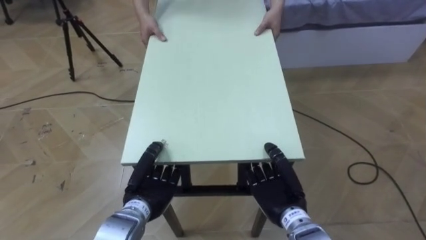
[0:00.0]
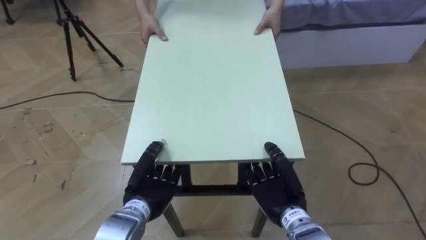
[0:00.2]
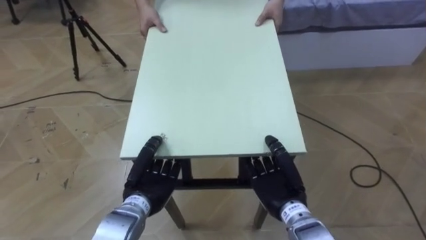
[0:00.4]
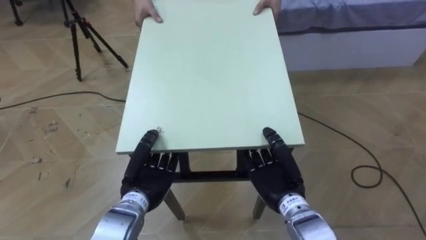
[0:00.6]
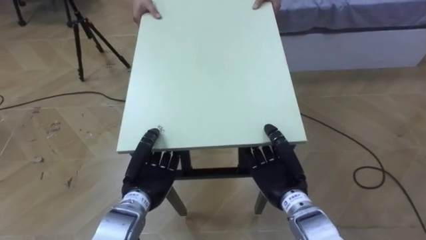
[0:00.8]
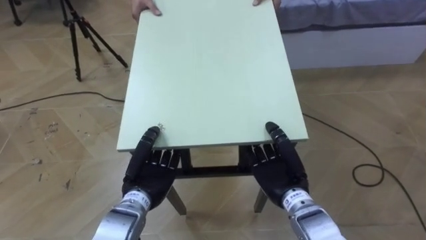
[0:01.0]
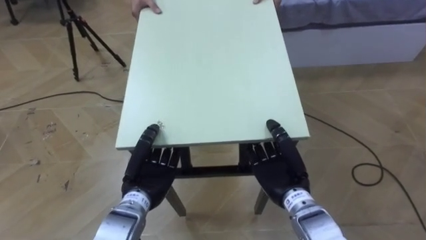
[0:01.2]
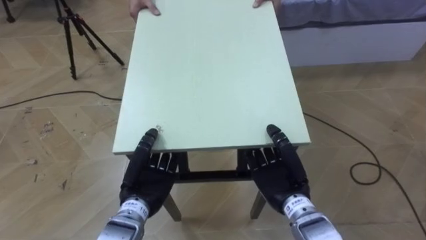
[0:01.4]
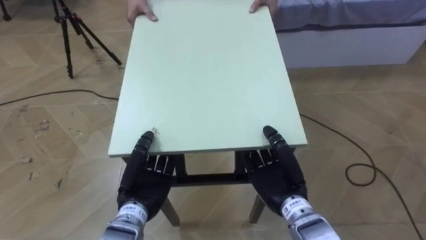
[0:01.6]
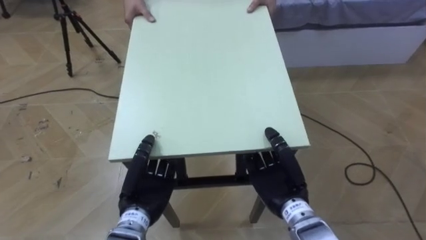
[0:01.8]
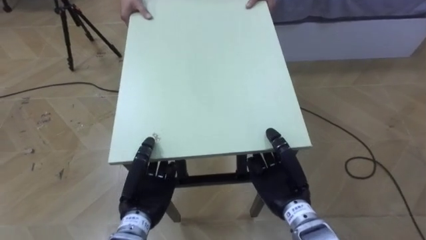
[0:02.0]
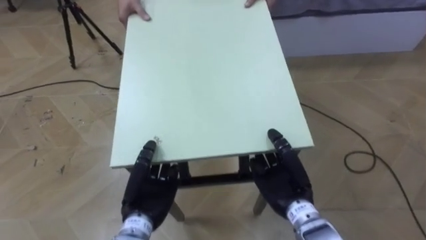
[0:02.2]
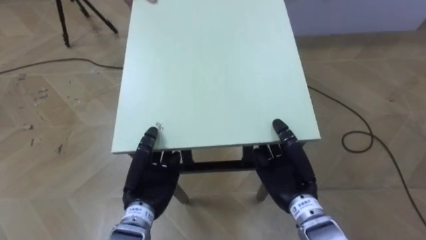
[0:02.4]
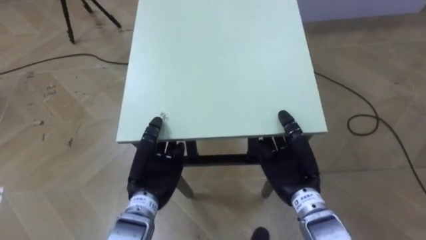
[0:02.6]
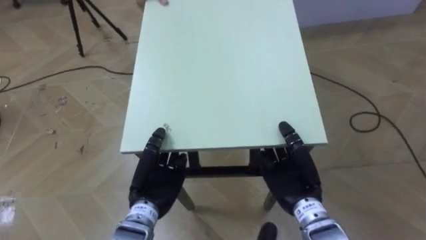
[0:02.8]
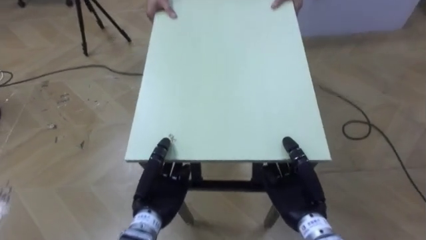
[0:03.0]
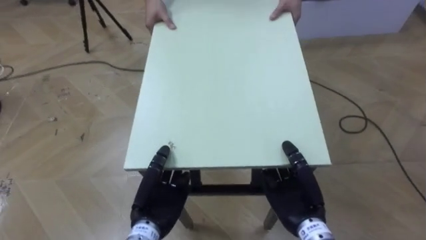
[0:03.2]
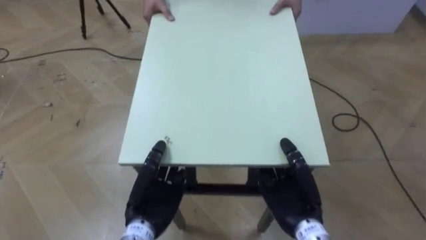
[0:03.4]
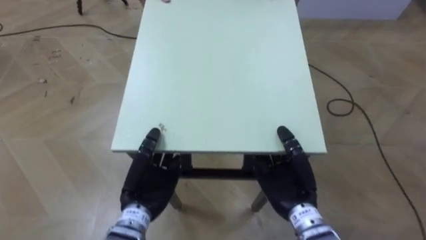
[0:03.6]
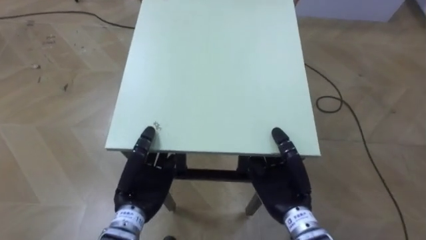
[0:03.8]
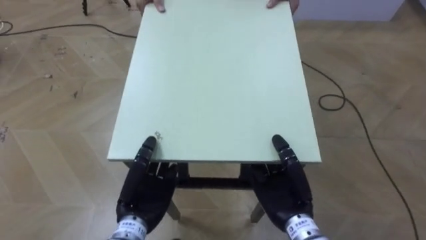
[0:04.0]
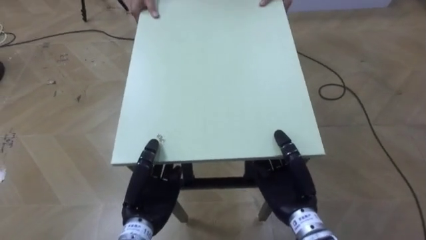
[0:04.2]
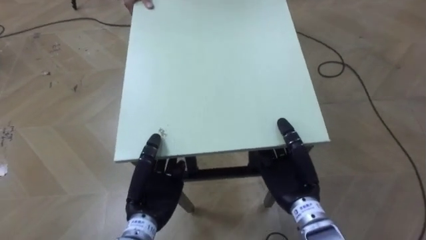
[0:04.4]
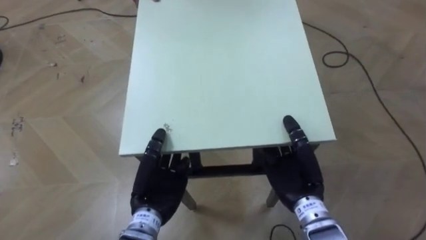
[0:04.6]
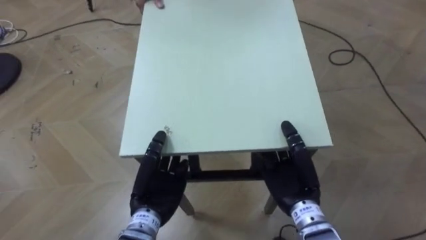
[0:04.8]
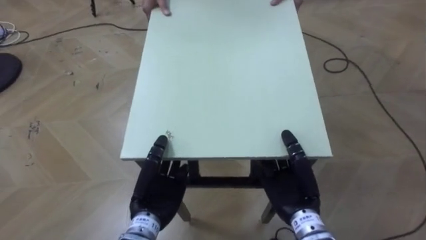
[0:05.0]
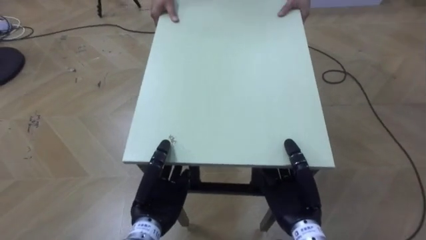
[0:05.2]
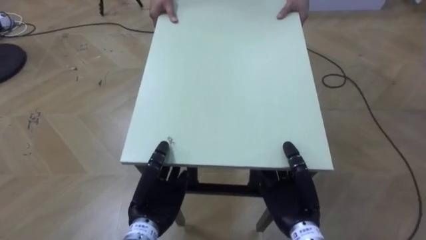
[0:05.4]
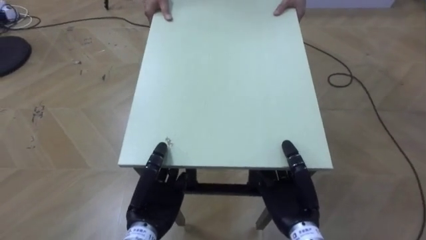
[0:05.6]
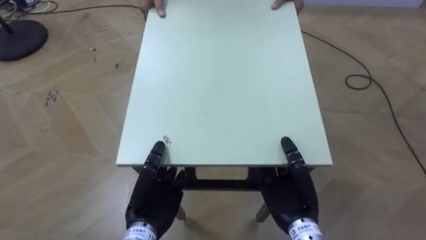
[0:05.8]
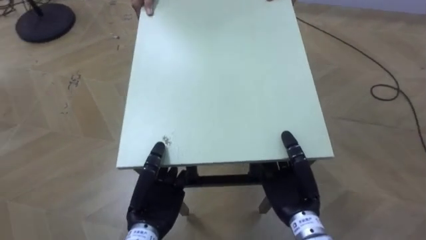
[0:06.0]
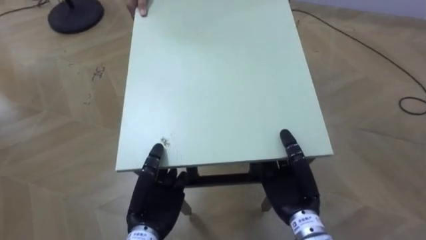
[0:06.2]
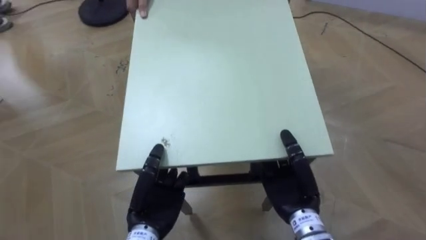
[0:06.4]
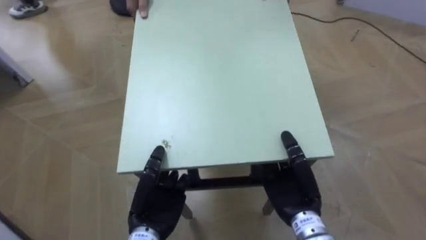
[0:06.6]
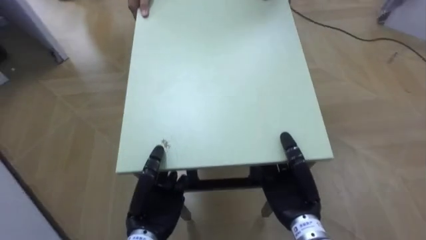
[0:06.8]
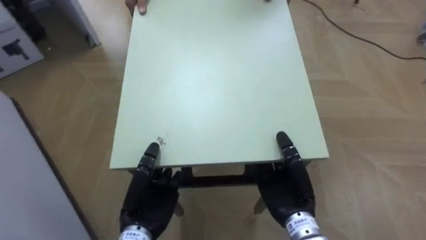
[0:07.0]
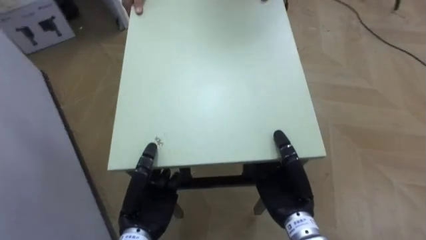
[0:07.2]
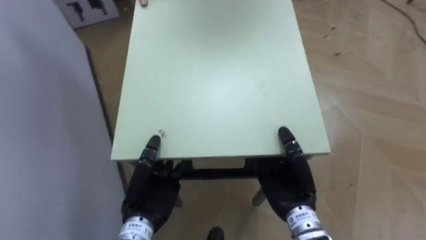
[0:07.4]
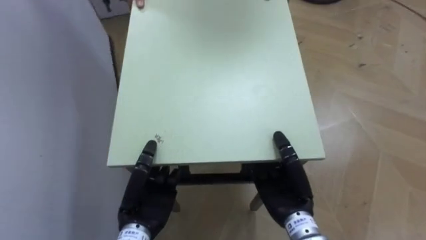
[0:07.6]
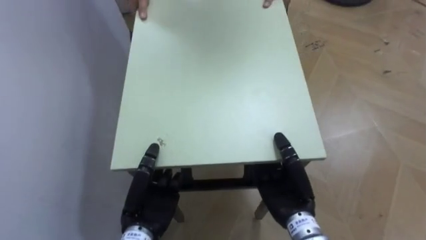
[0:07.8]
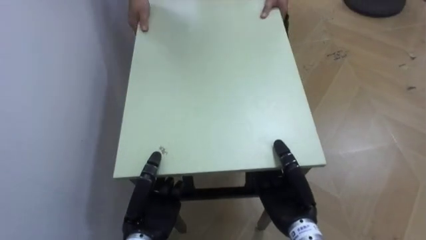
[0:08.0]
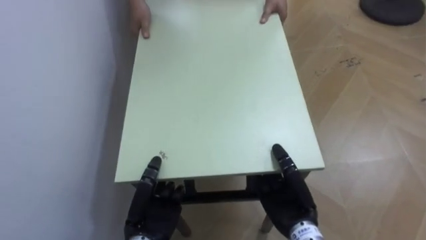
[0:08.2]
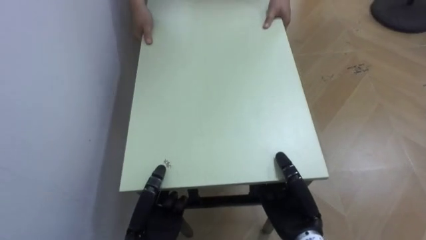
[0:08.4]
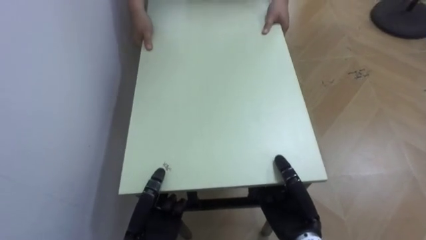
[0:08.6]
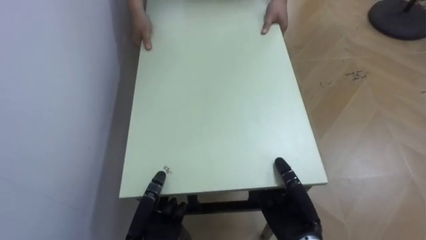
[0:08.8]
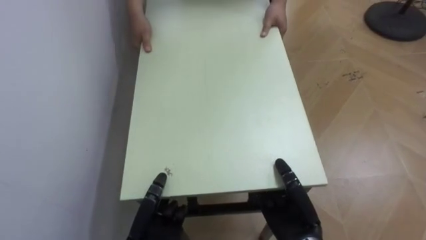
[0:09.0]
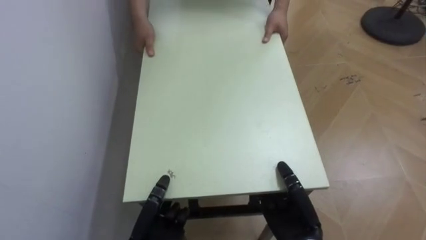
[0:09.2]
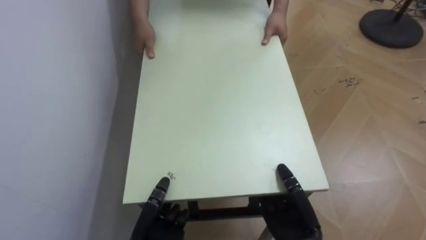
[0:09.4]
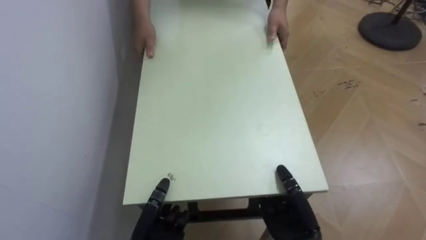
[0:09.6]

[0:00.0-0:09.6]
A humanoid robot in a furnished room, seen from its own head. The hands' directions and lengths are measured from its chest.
Task of the whole recording: Move the table to the back left with someone.
4.8 to 6.4 s: The robot turns to its left by roughly 25 degrees.
6.4 to 8.0 s: The robot faces roughly 60 degrees further to its left.
8.0 to 9.6 s: The left hand shifts by some 5 cm. The right hand moves roughly 5 cm.

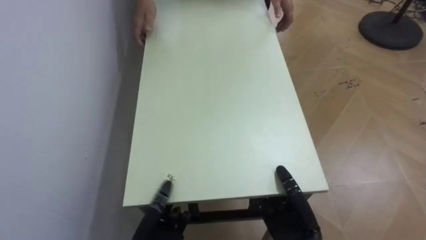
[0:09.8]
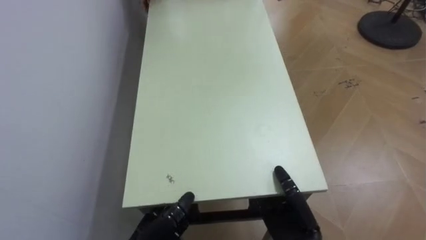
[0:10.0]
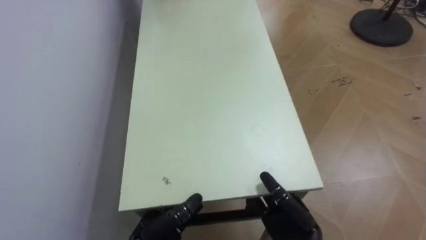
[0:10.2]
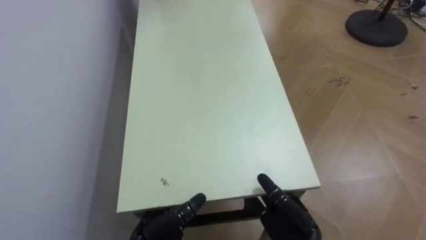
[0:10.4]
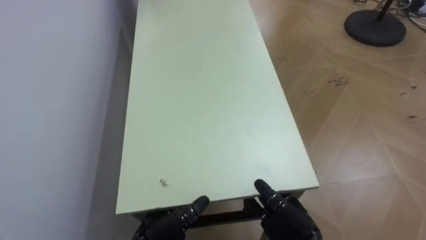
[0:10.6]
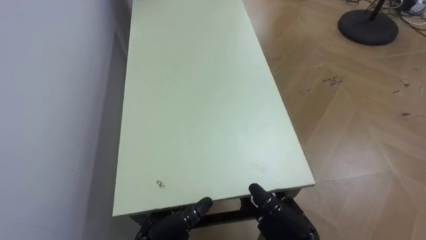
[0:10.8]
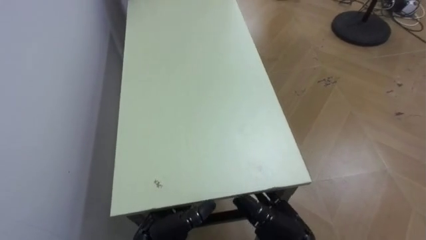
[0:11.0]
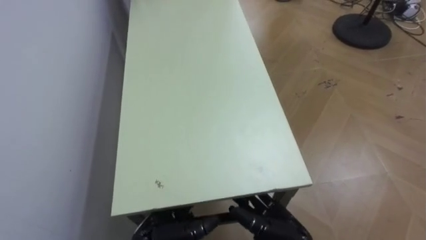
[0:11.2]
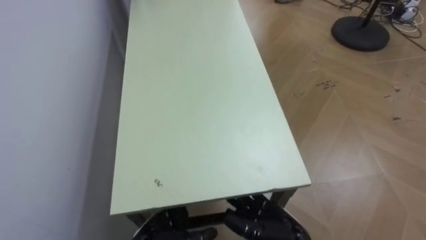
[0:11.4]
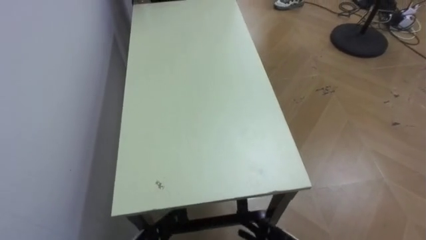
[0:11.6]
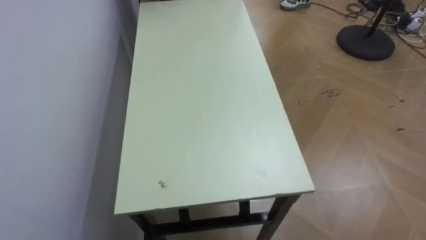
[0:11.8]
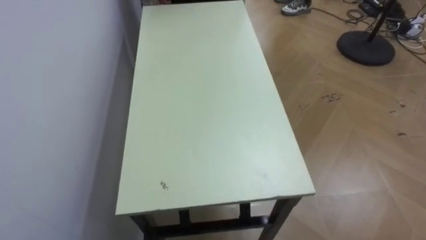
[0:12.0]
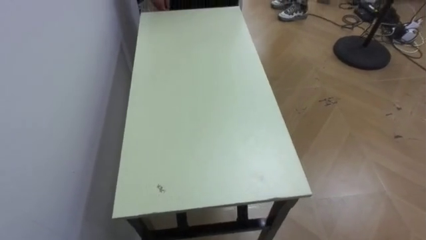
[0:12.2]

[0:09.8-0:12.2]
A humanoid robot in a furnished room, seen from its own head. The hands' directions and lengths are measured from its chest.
Task of the whole recording: Move the table to the back left with someone.
9.8 to 11.0 s: The right hand opens, while the left hand opens its fingers.

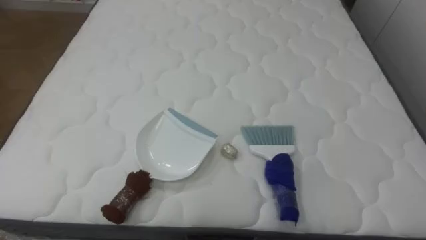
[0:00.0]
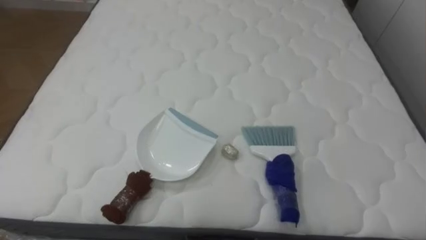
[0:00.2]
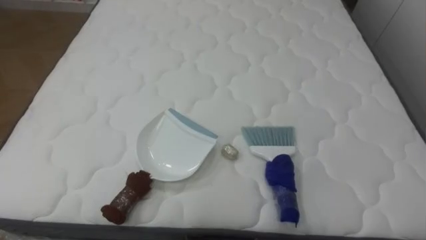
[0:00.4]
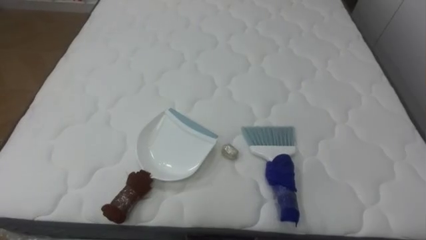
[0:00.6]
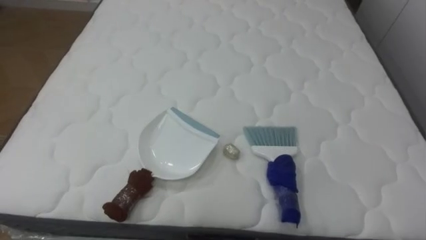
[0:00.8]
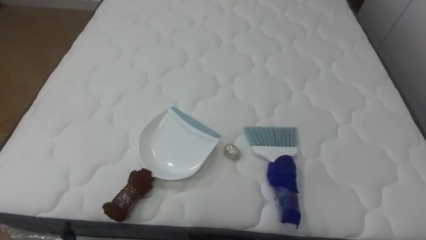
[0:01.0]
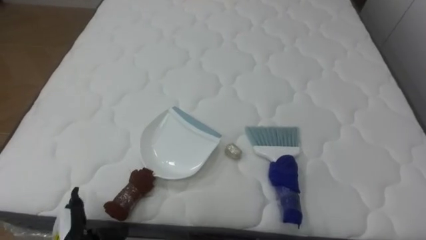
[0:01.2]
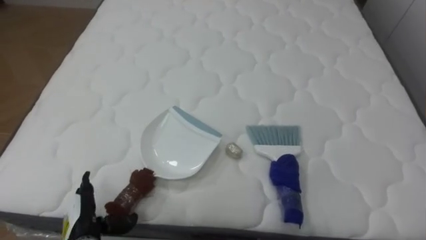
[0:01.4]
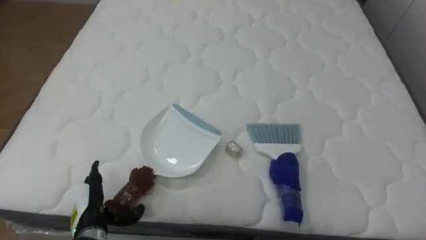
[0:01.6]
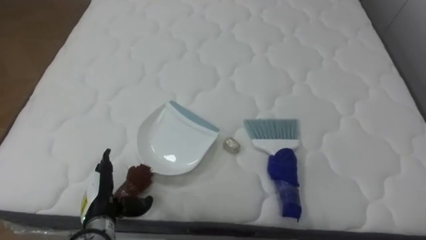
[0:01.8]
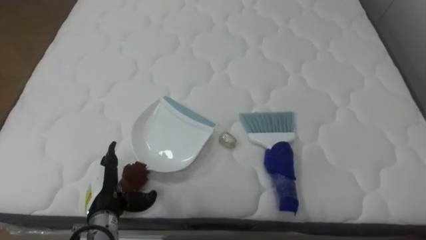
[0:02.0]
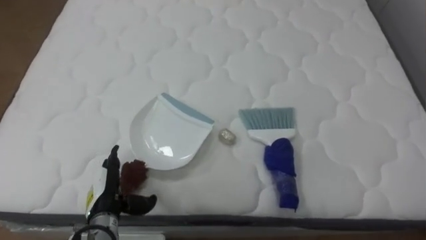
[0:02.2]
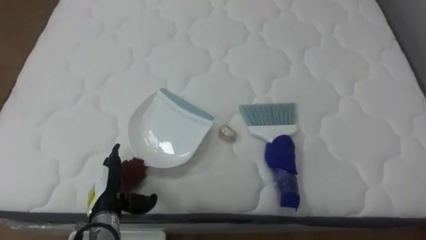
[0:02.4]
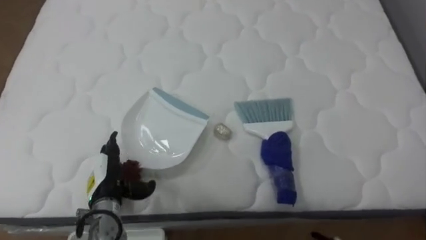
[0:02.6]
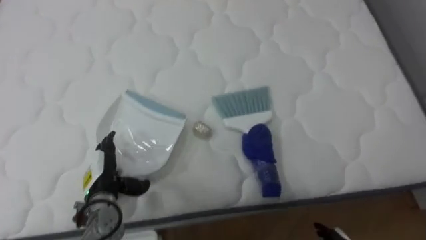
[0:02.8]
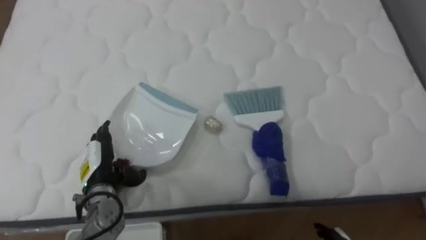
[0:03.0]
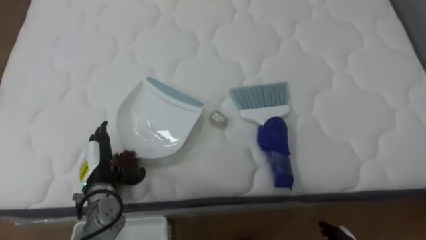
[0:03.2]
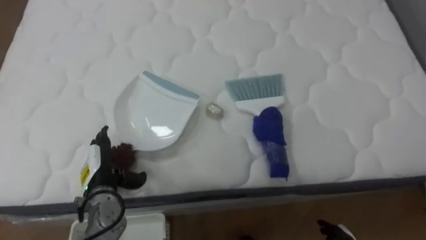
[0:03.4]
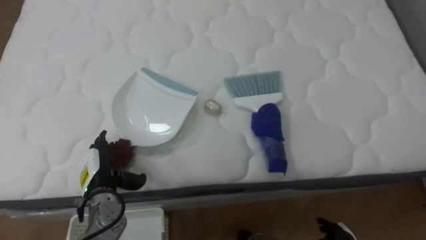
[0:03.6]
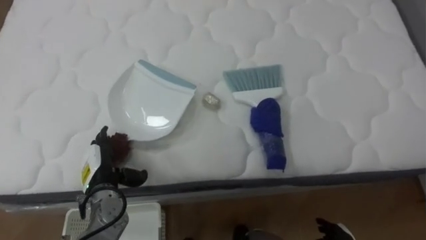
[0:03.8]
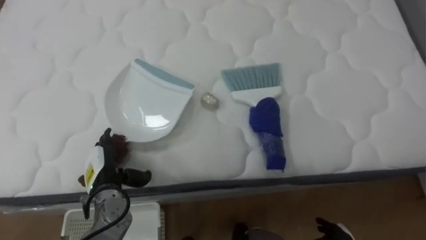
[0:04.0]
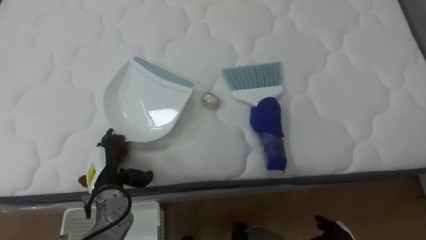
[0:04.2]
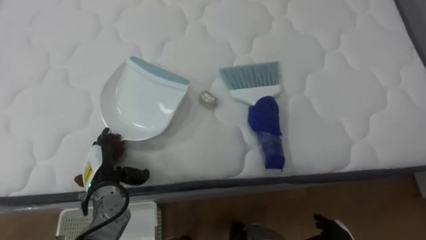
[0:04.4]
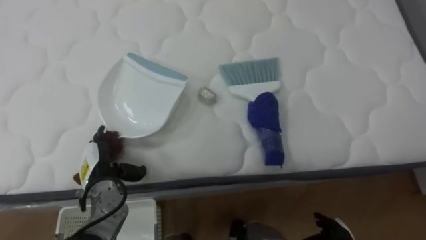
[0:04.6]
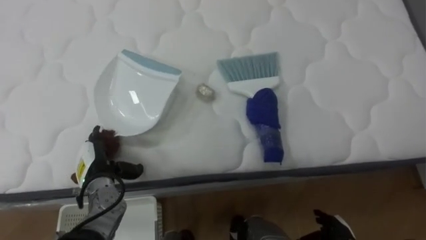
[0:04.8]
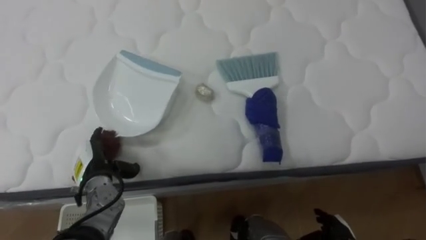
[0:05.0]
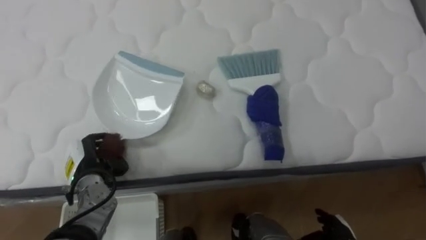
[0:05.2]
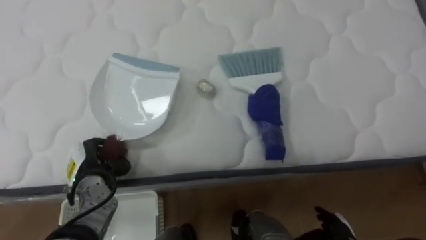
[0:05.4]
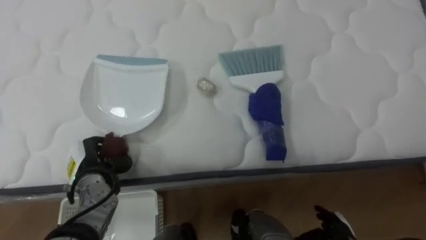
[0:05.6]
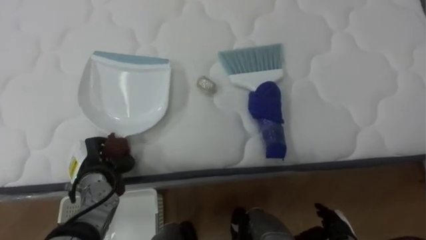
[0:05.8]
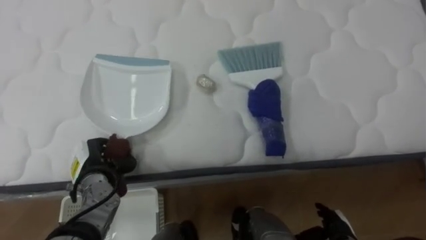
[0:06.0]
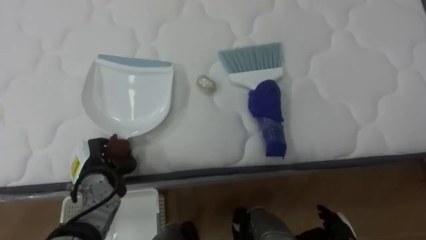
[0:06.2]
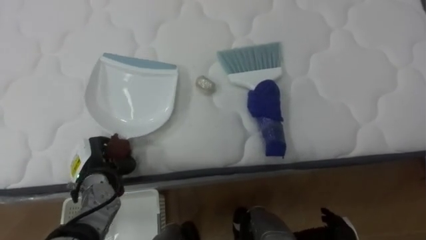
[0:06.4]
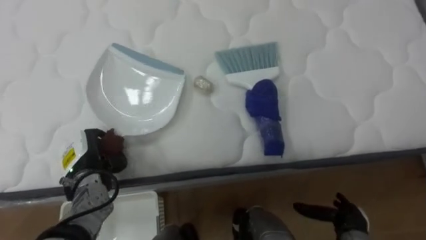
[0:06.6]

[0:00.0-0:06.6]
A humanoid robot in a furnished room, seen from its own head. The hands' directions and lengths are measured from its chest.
Task of the whole recording: Pick up the brush on your right and the dustpan on your left. Use the brush to sweep the crumpled paper on the bed into the dustpan, then turn left and empty it into the basket.
1.6 to 3.2 s: The left hand shifts approximately 10 cm forward.
5.0 to 6.6 s: The left hand closes its fingers.
